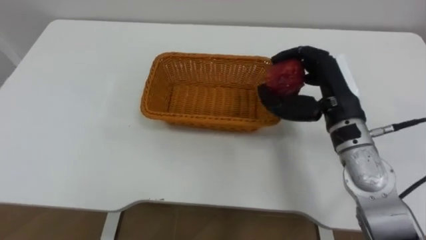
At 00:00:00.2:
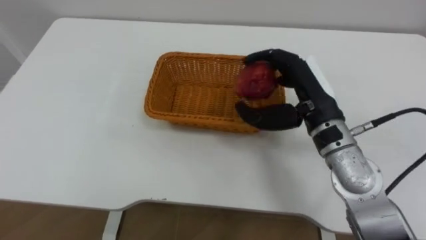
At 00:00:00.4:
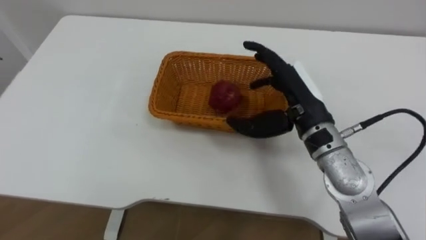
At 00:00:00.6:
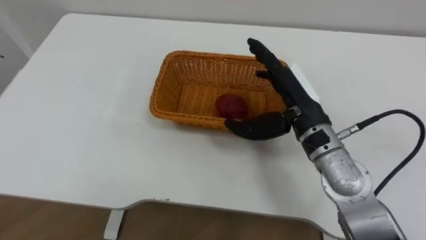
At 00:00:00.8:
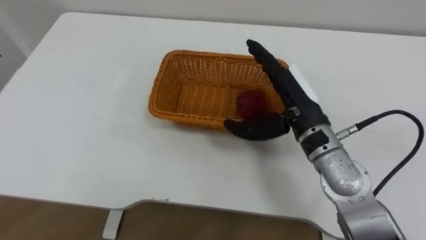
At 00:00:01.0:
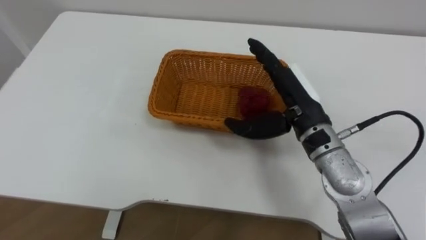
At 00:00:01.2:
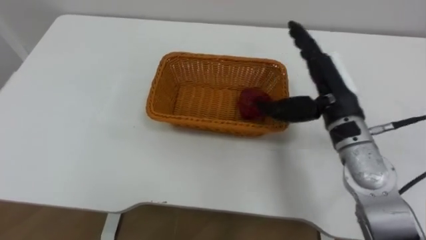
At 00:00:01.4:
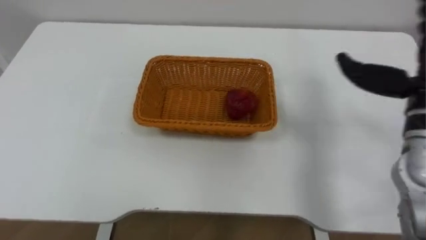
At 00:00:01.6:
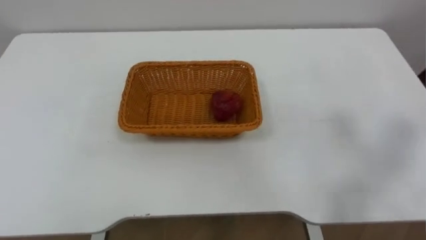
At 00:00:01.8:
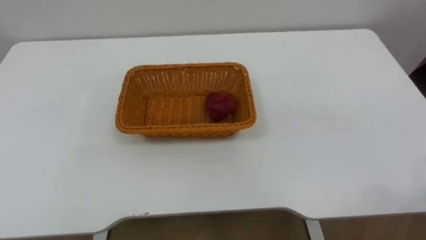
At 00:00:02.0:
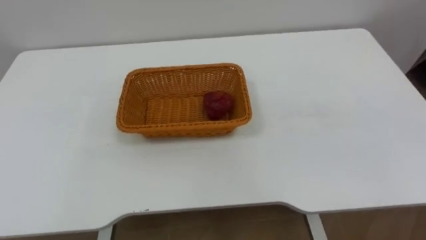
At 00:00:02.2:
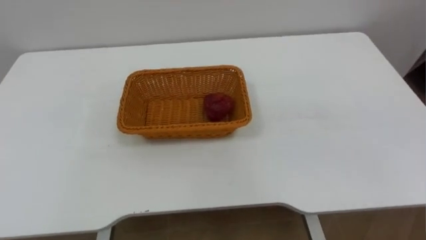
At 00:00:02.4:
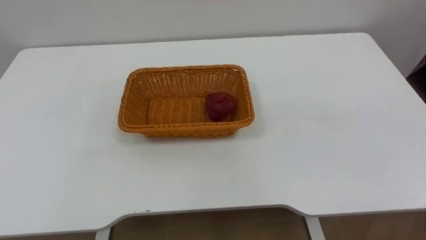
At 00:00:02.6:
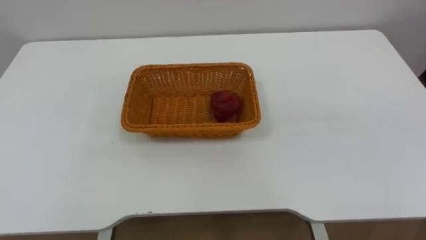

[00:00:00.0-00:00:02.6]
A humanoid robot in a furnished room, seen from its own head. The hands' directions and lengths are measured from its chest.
Task of the whole recording: Pick the apple and place it in the box.
00:00:00.0 to 00:00:01.2: The right hand opens up.

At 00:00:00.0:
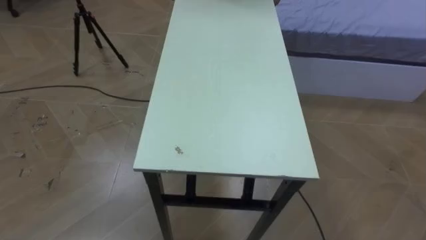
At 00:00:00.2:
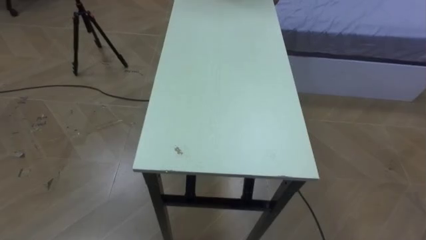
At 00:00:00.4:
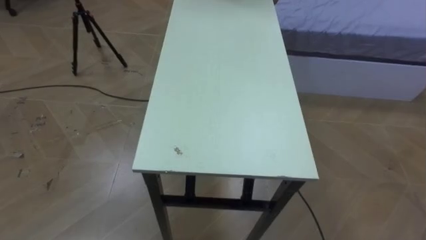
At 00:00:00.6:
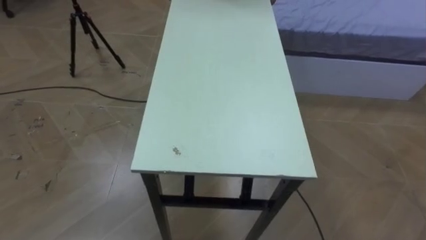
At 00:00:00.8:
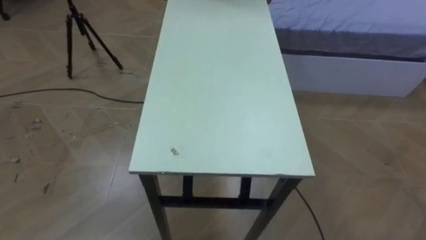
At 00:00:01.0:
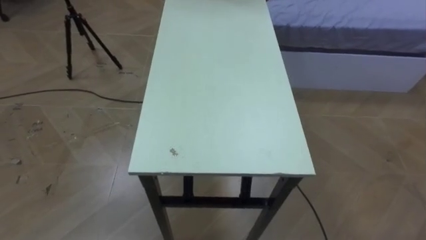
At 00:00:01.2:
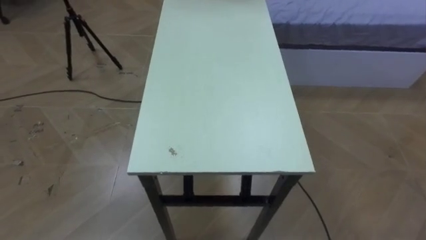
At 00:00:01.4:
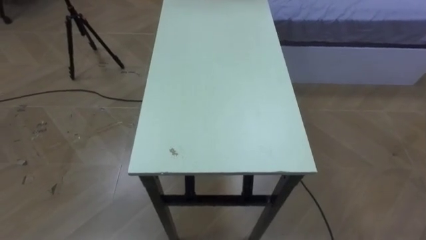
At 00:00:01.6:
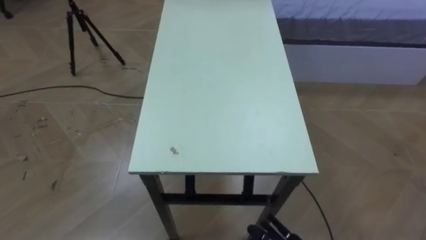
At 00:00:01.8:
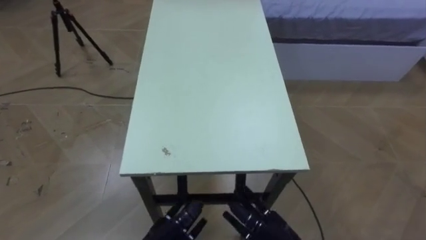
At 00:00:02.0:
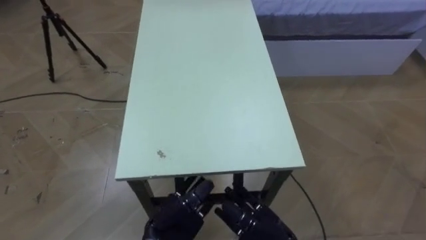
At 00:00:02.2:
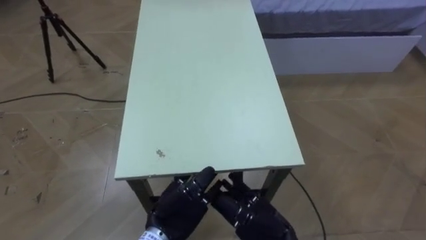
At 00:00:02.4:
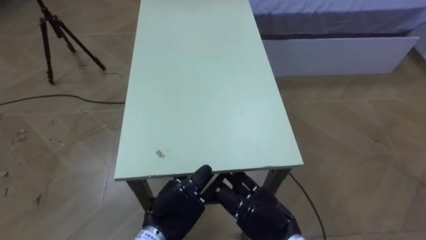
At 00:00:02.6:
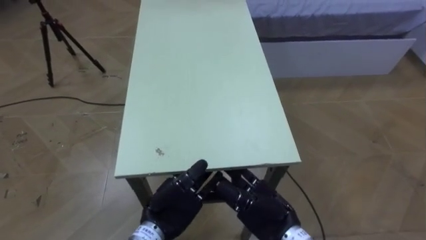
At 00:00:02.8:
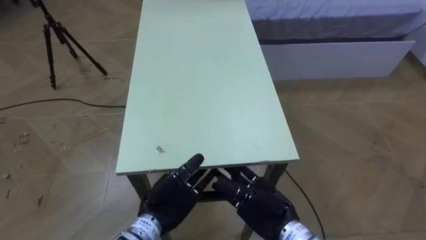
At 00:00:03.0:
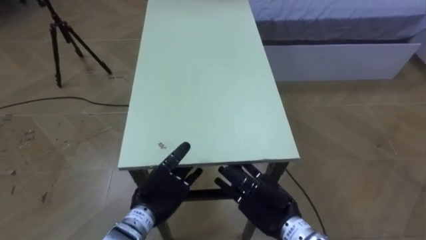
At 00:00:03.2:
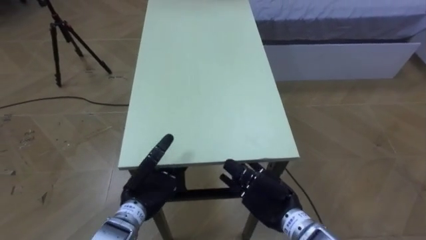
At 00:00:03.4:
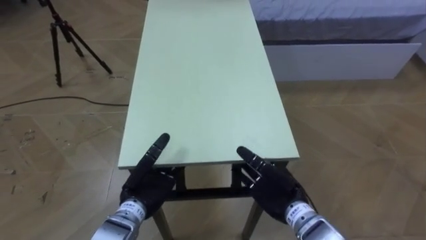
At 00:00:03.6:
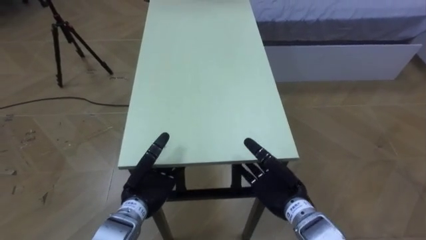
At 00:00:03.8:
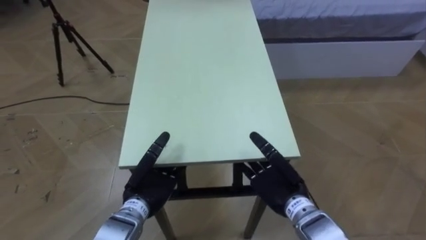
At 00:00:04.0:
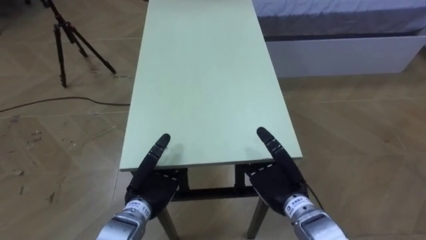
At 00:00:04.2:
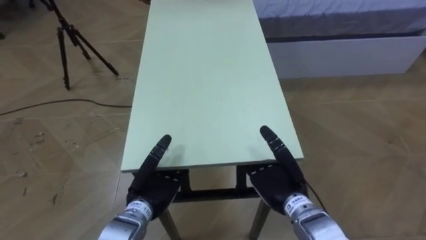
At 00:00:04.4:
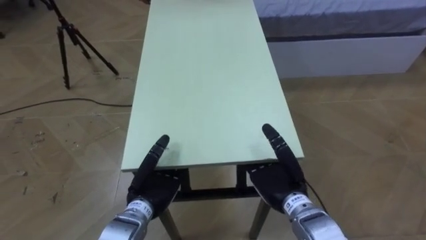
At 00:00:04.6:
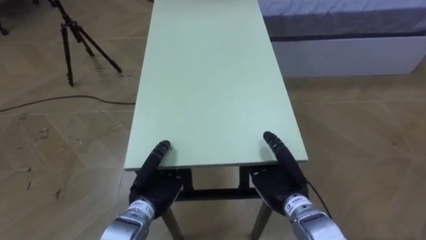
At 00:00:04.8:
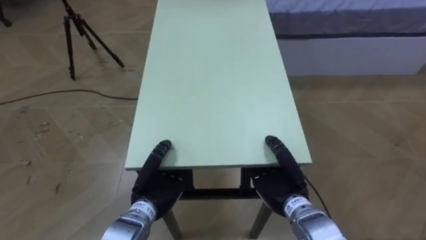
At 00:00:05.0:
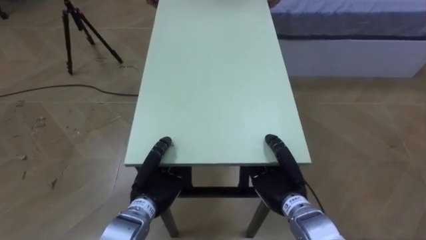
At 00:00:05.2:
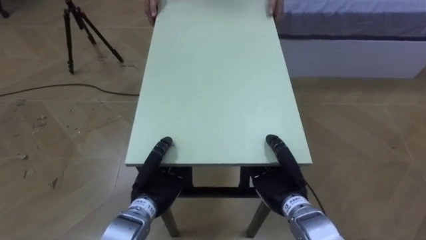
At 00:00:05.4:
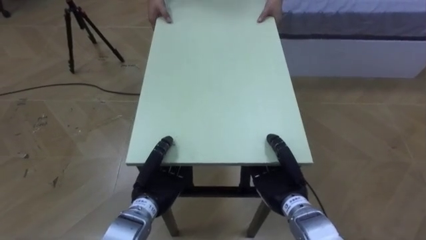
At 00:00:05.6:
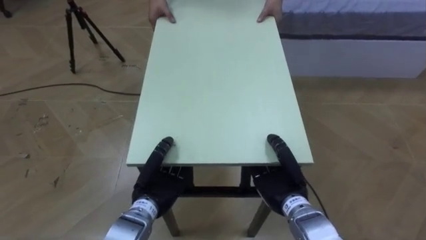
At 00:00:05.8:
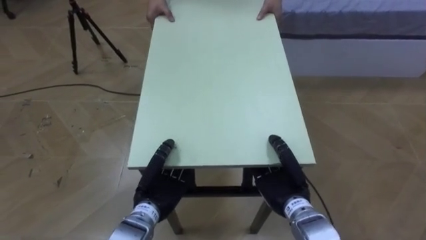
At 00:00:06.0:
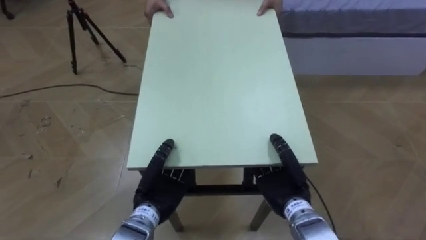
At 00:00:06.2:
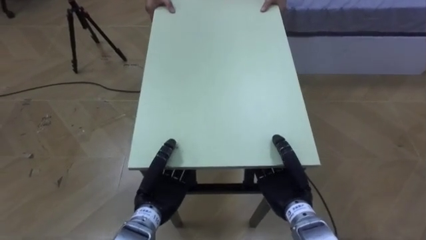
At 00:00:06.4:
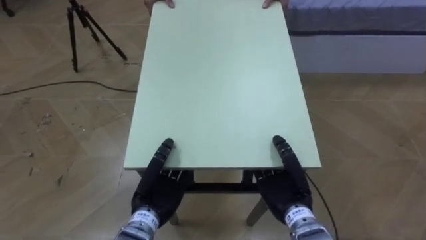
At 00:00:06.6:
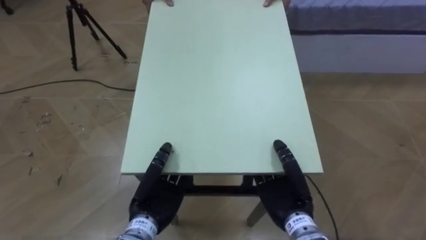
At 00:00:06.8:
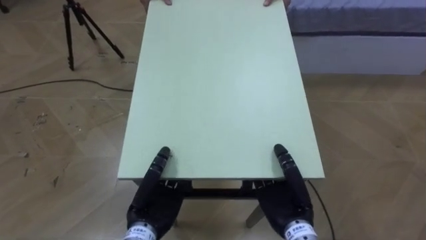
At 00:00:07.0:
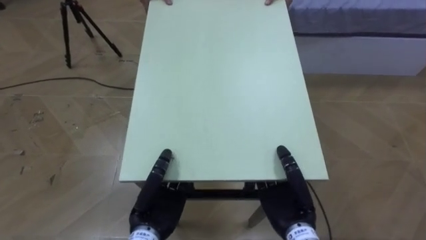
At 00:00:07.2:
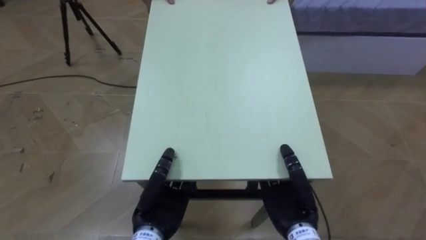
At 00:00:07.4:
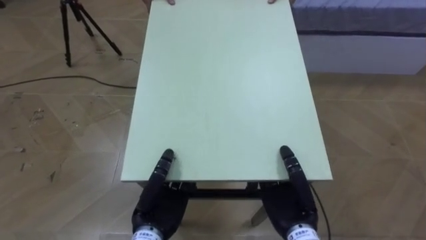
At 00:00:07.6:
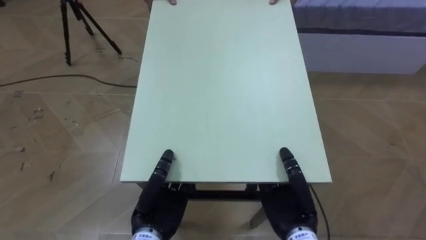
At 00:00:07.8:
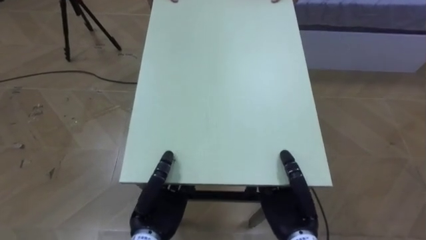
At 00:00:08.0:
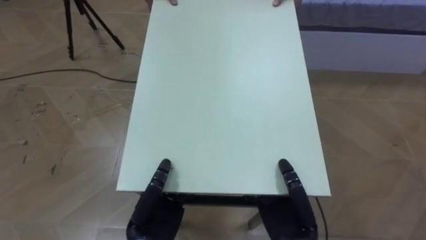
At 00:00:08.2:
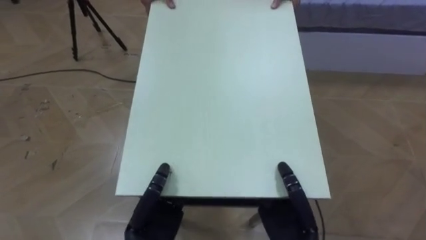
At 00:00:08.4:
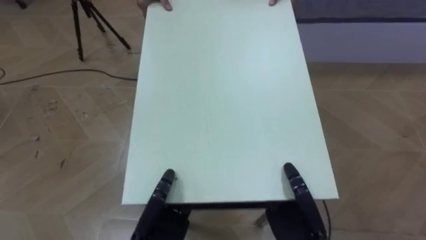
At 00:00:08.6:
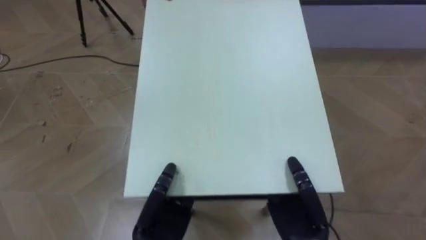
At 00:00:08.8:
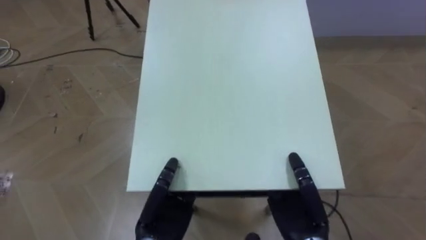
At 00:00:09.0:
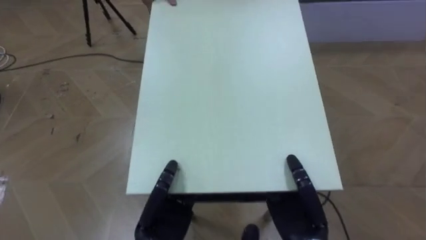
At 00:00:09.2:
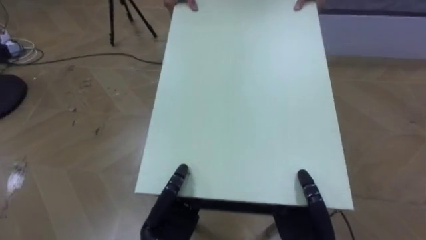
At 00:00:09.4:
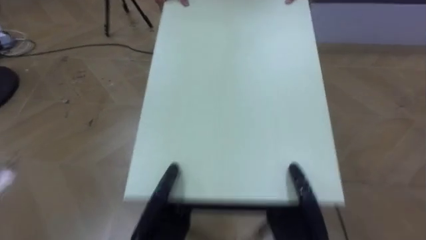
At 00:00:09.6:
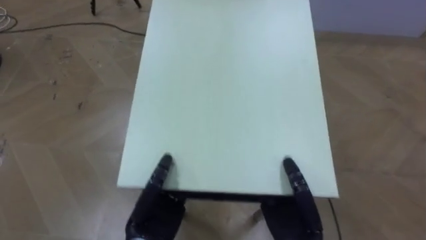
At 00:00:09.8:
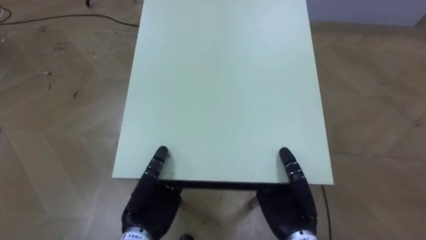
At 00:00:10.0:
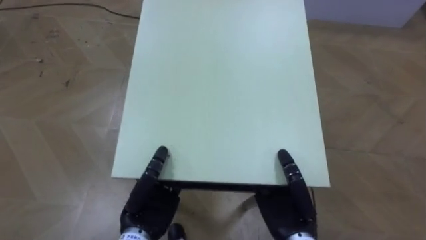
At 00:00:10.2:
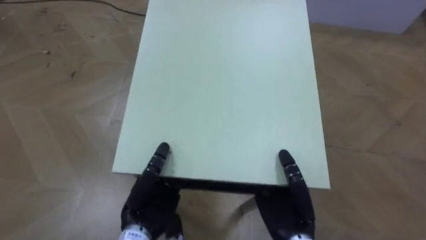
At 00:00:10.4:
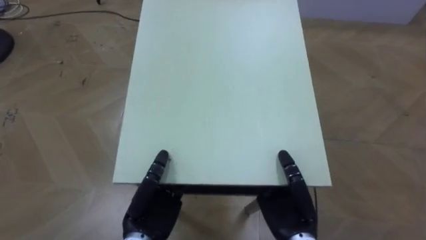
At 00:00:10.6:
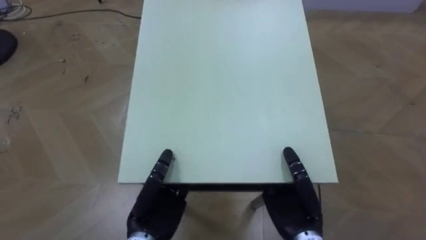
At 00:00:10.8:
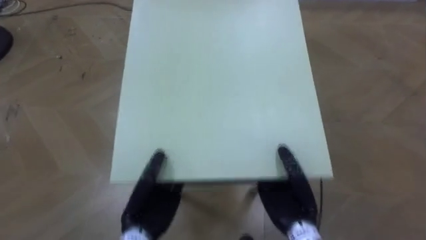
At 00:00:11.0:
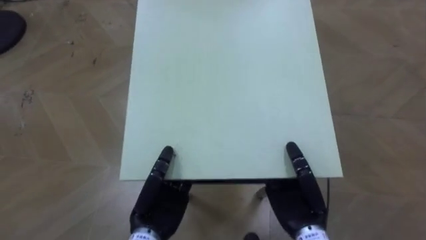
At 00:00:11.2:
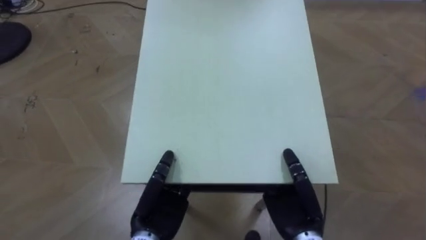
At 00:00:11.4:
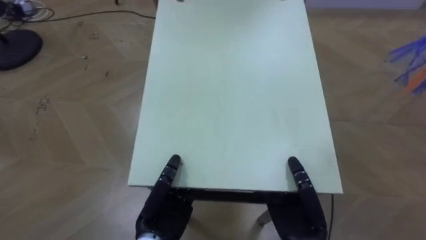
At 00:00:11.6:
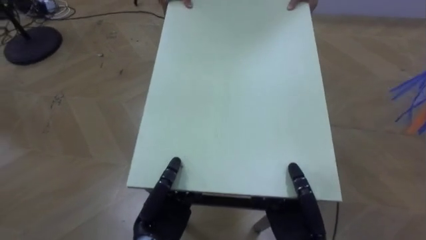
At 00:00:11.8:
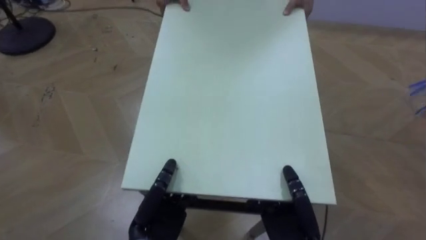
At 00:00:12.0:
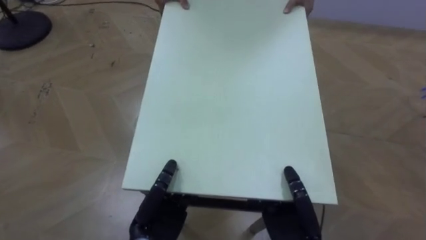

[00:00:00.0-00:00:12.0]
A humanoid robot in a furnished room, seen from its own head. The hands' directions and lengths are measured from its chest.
Task of the whole recording: Move the table to the back left with someone.
00:00:04.4 to 00:00:06.0: The right hand closes its fingers. The left hand closes up.

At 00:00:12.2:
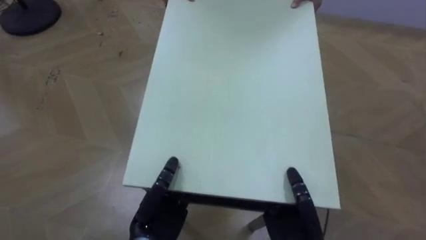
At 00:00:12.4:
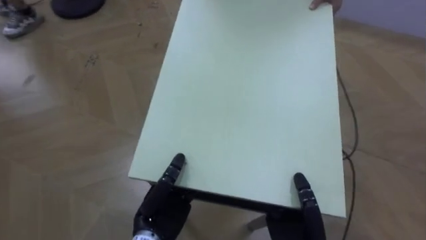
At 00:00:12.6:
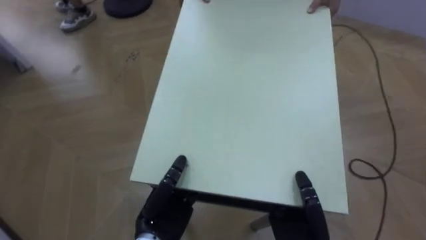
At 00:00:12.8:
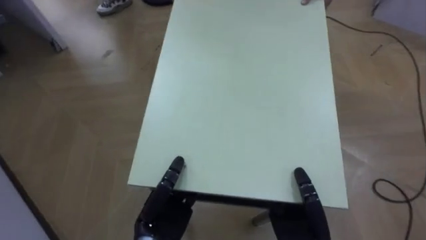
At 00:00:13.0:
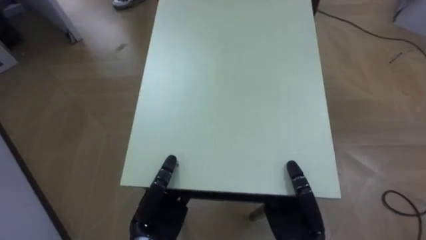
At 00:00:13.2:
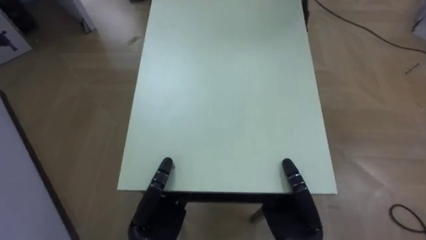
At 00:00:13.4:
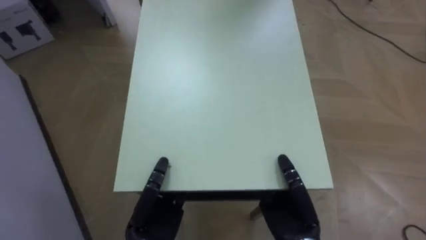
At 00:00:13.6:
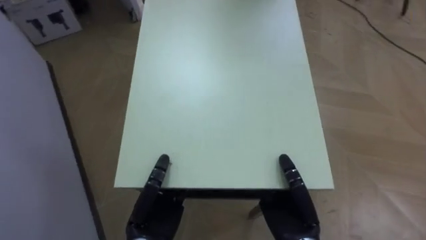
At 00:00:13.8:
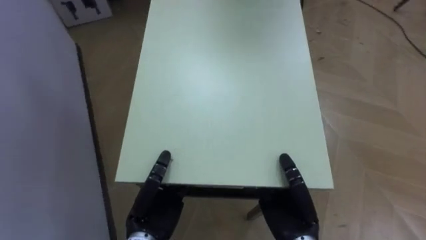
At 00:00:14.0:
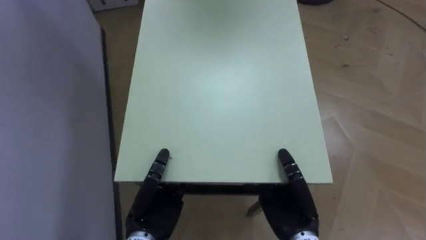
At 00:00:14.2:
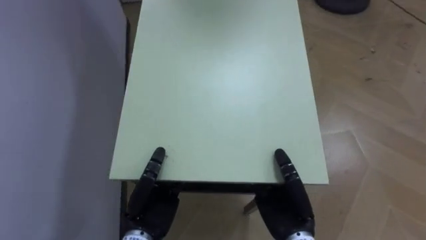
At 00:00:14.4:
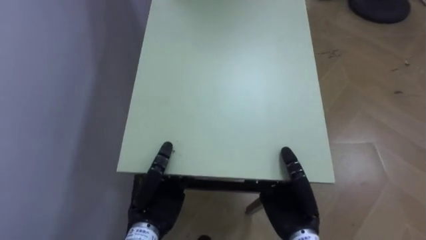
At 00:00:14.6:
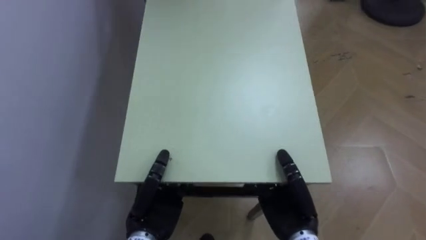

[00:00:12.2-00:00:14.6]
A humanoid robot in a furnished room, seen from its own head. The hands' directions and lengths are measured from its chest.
Task of the whole recording: Move the table to the back left with someone.
00:00:12.2 to 00:00:13.4: The robot faces some 30 degrees further to its left.
00:00:13.4 to 00:00:14.6: The robot turns to its left by about 40 degrees.
